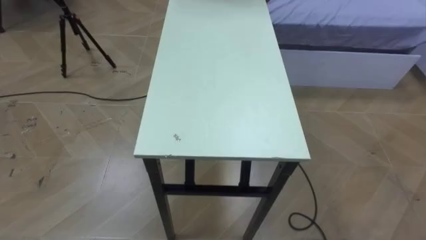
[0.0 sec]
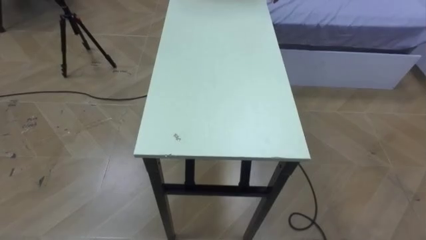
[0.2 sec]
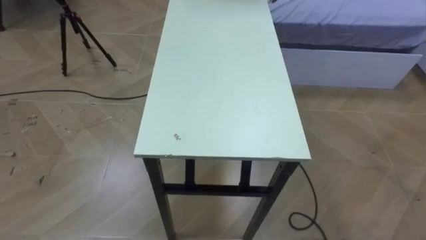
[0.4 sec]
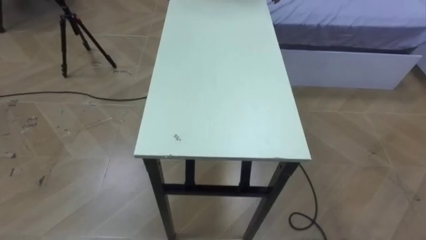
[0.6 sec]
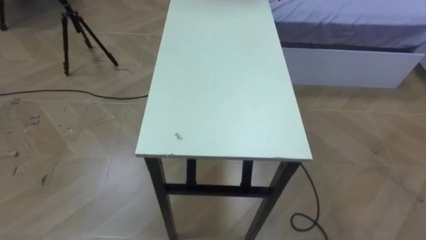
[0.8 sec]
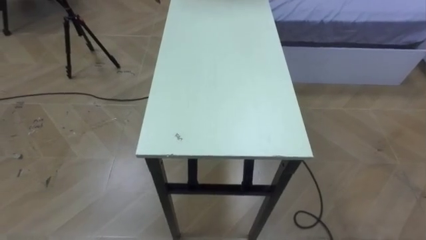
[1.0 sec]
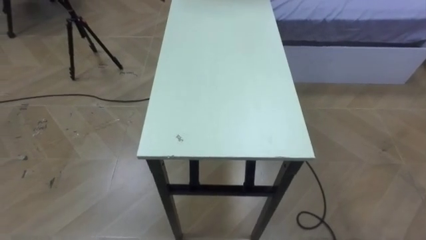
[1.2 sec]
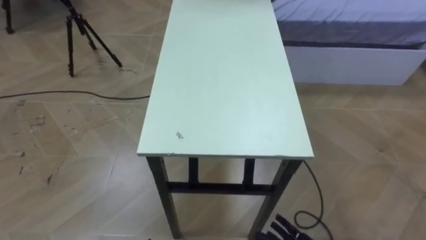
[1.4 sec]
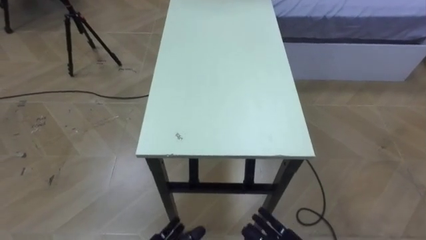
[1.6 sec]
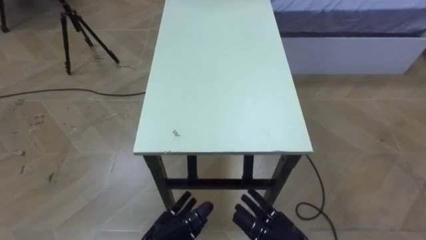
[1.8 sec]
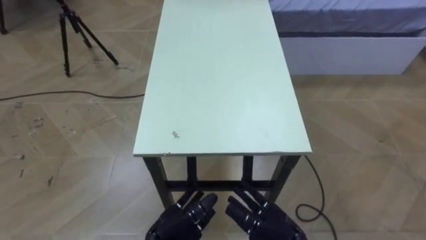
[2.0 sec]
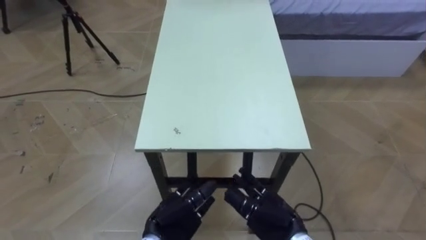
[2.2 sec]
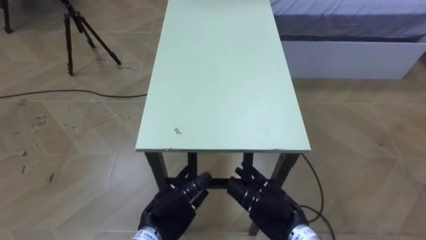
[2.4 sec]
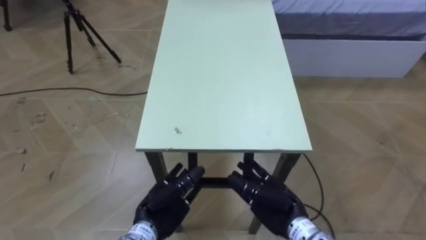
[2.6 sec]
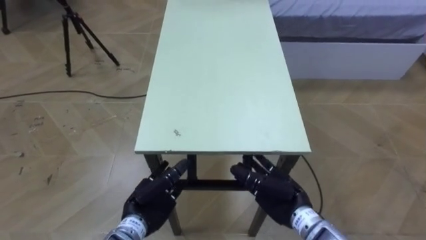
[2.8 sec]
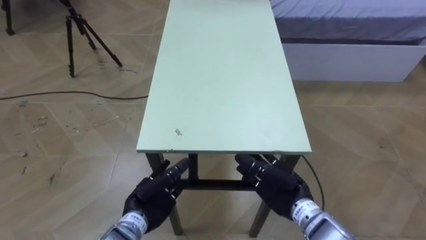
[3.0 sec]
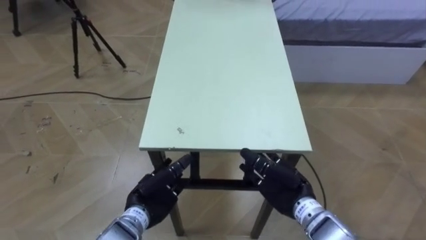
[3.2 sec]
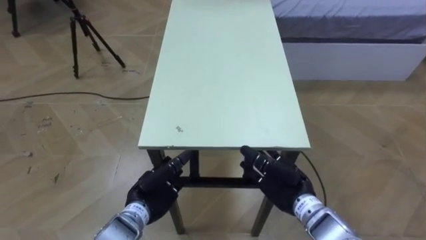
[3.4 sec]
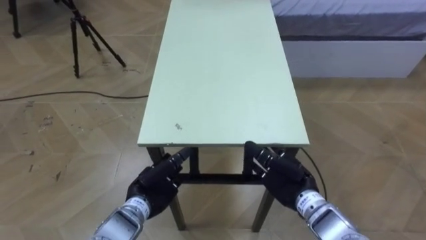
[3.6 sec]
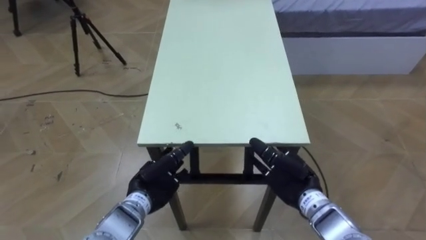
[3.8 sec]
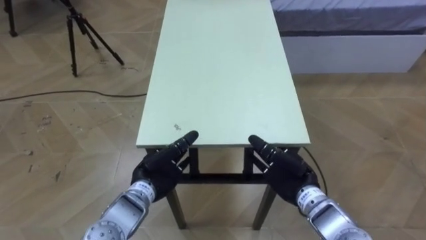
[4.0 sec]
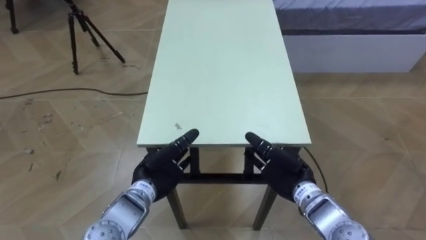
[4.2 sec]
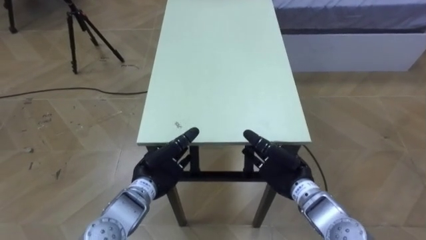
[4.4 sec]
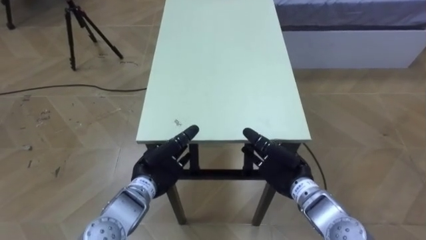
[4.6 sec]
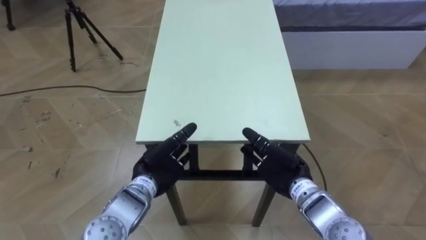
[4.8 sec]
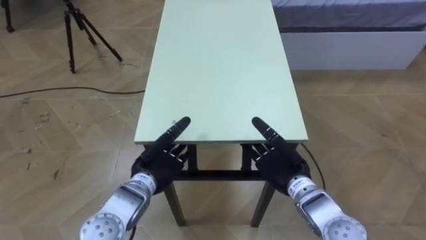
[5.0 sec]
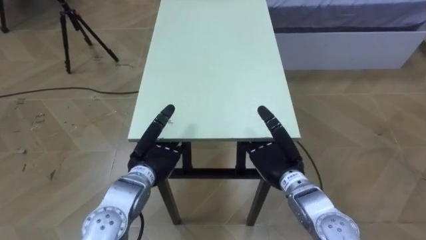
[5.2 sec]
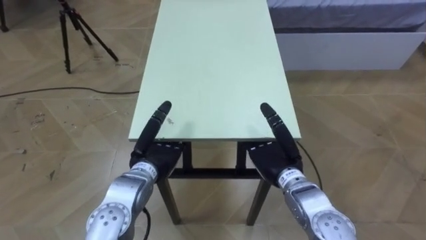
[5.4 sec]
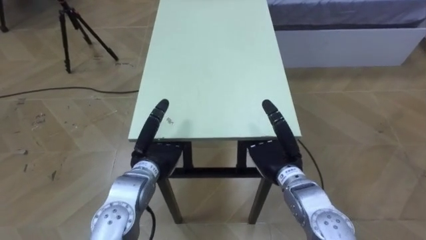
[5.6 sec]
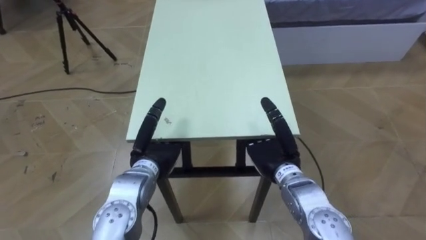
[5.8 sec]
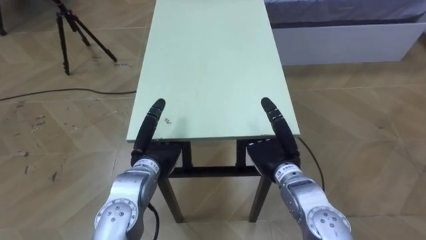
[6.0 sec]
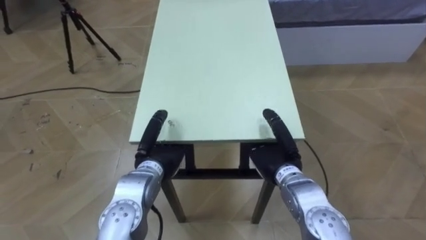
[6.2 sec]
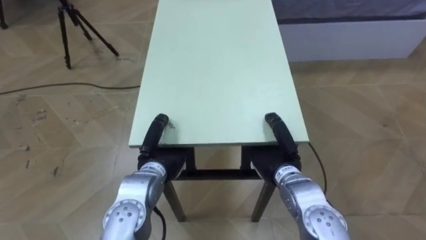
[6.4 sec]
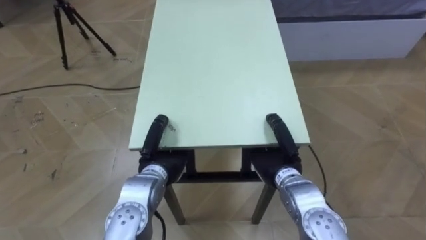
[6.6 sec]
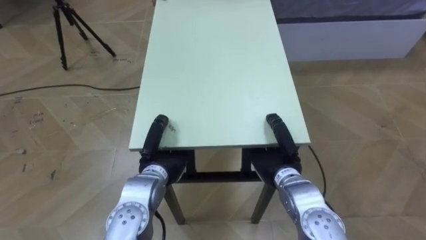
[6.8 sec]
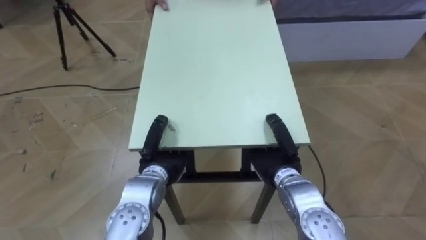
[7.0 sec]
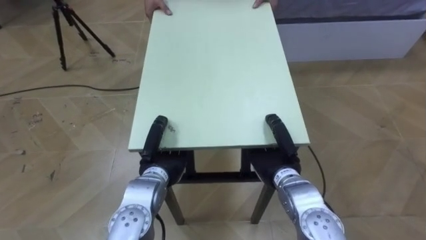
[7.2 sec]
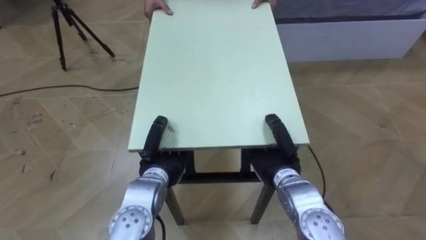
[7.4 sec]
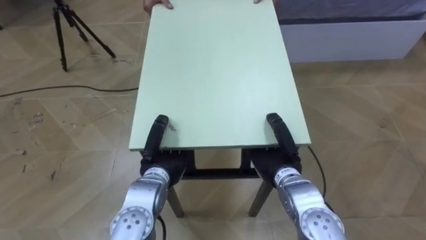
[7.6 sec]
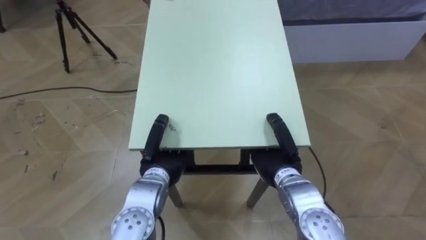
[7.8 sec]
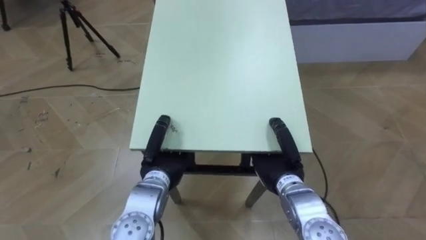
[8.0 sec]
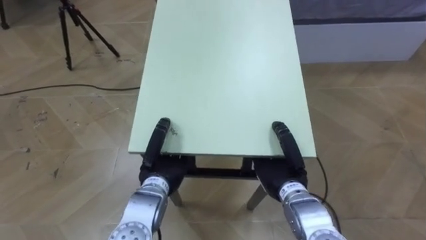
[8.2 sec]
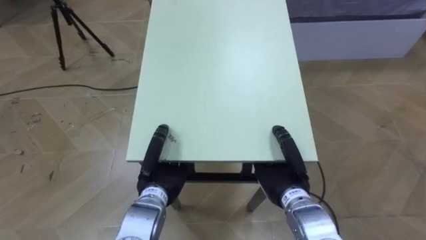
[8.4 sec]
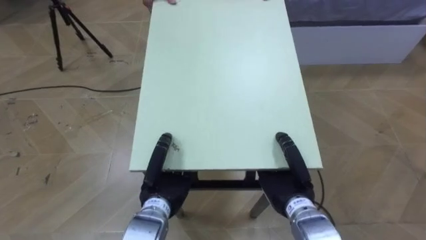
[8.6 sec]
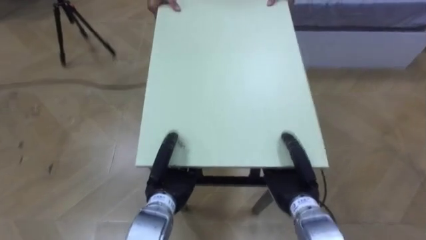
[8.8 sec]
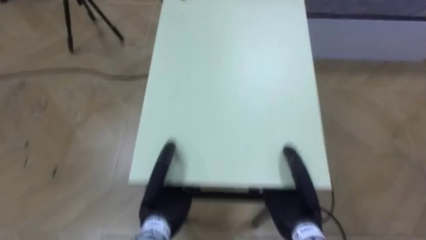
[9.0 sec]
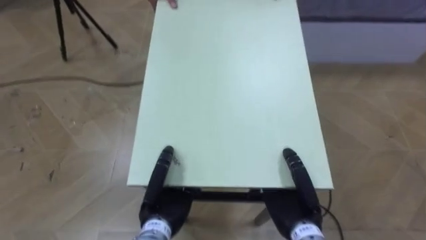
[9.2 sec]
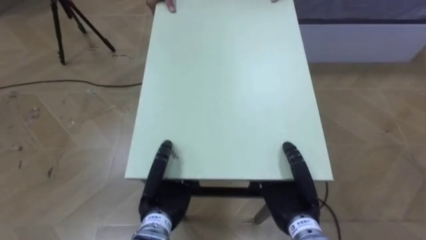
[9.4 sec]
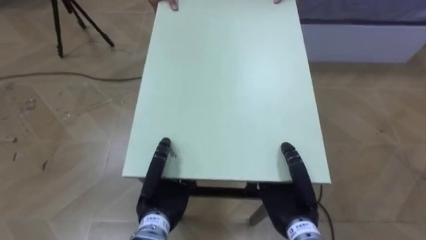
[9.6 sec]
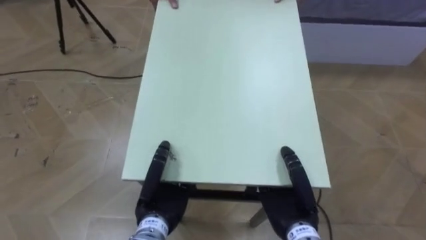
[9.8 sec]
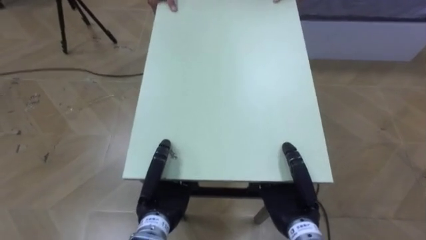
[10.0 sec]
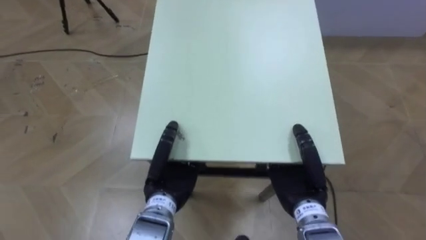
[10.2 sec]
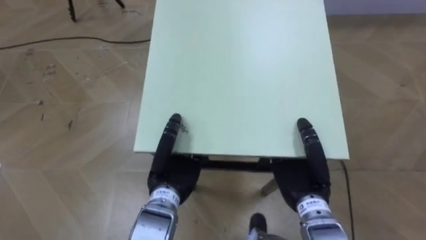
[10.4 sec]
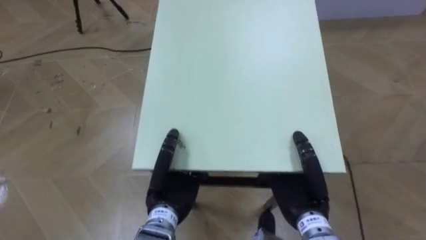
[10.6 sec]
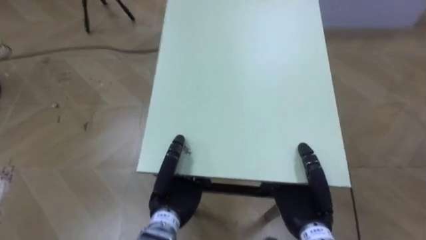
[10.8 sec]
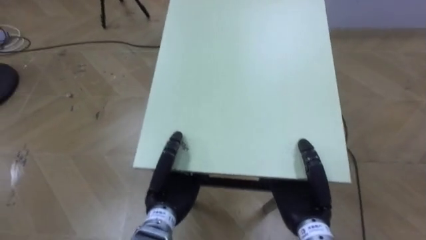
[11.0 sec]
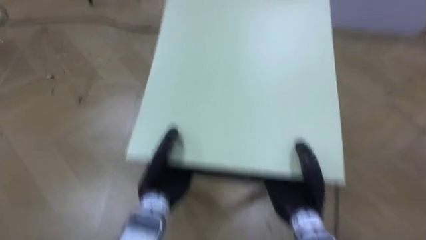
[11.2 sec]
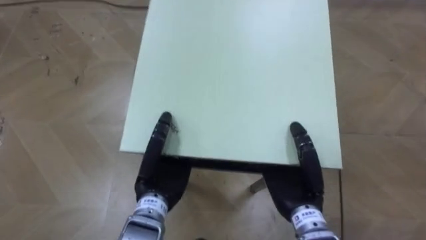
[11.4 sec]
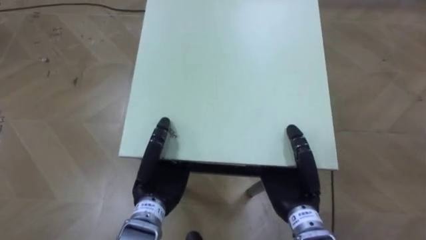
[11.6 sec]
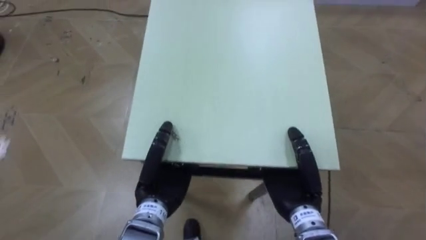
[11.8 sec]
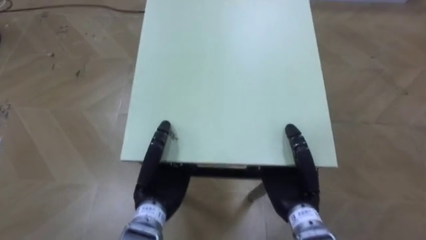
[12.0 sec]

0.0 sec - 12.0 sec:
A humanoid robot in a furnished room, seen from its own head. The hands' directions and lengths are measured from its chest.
Task of the whole recording: Move the table to the back left with someone.
3.0 sec - 4.4 sec: The left hand travels forward by about 5 cm.
6.0 sec - 7.6 sec: The right hand closes its fingers, while the left hand closes up.
7.6 sec - 9.0 sec: The hands both shift backward by some 5 cm.
9.0 sec - 10.4 sec: The right hand ends up some 5 cm from where it was; the left hand shifts by some 5 cm.

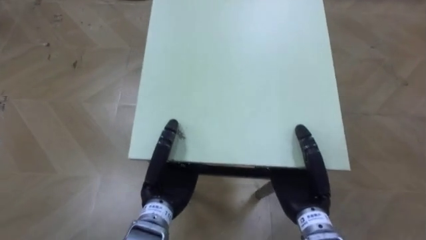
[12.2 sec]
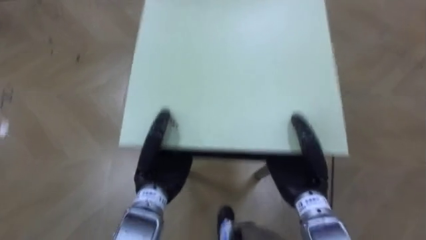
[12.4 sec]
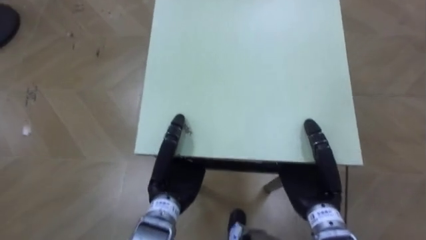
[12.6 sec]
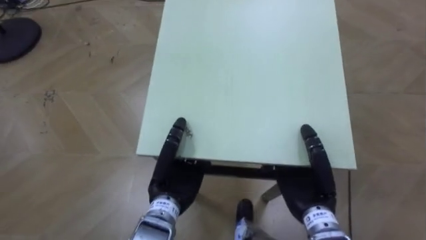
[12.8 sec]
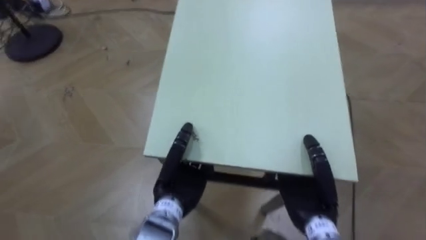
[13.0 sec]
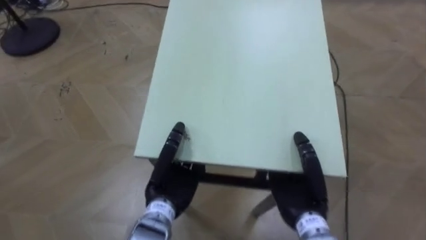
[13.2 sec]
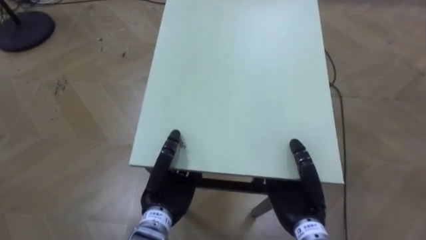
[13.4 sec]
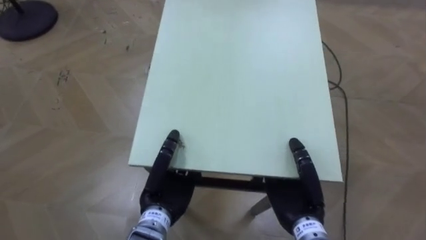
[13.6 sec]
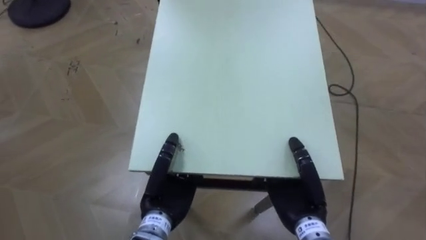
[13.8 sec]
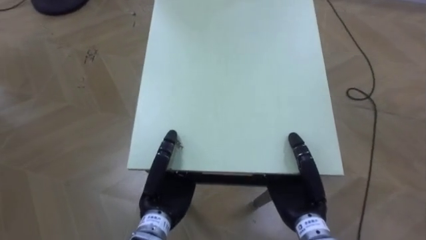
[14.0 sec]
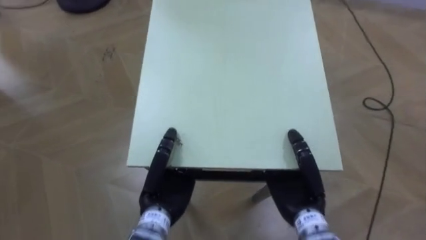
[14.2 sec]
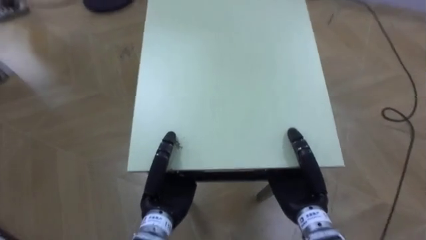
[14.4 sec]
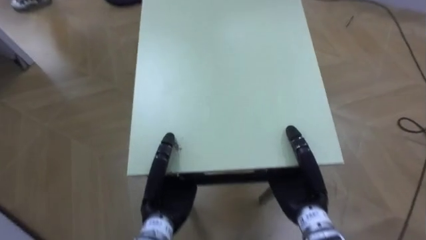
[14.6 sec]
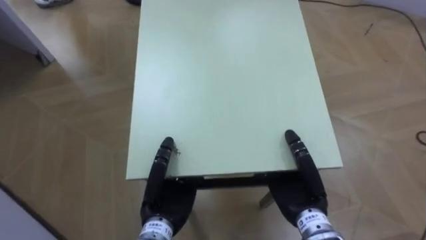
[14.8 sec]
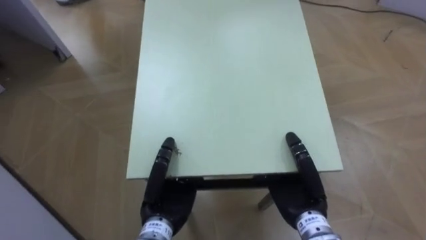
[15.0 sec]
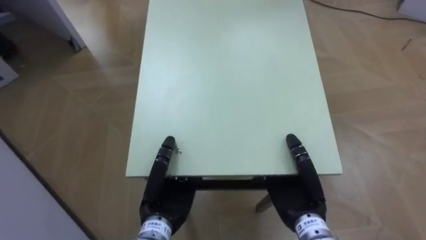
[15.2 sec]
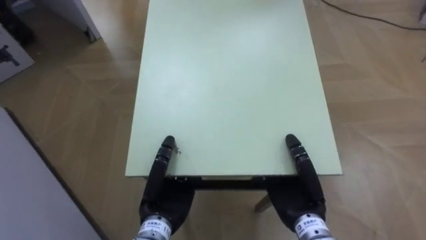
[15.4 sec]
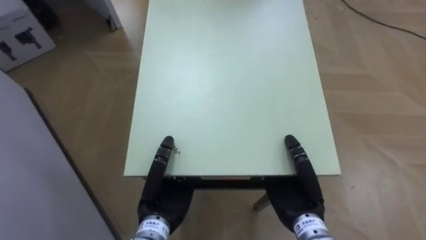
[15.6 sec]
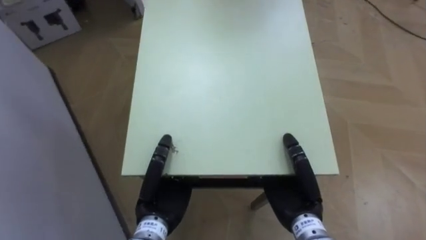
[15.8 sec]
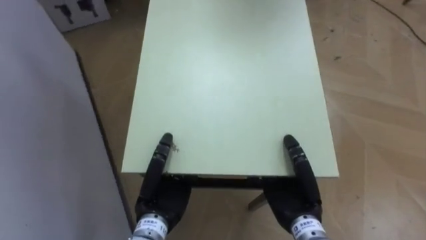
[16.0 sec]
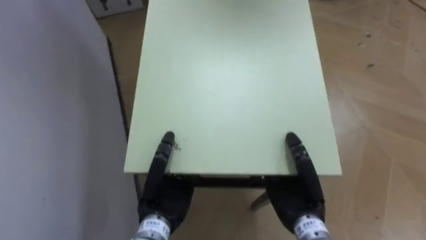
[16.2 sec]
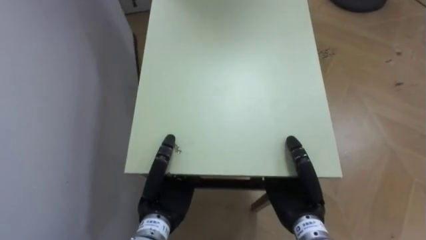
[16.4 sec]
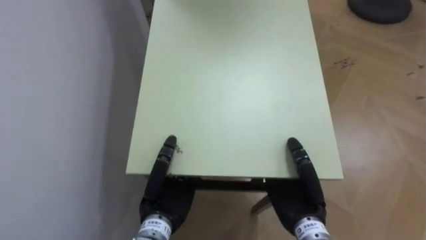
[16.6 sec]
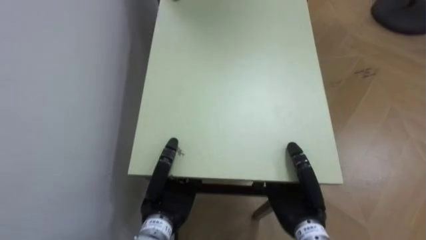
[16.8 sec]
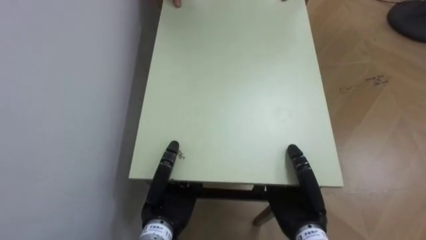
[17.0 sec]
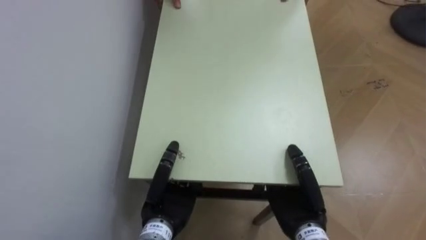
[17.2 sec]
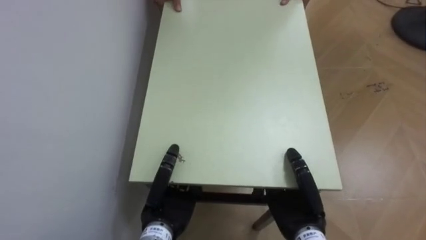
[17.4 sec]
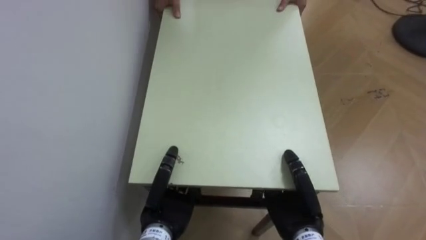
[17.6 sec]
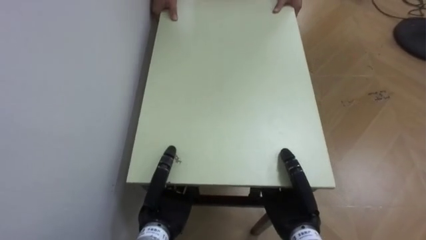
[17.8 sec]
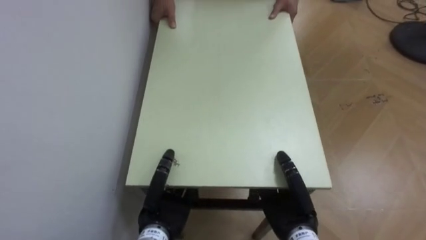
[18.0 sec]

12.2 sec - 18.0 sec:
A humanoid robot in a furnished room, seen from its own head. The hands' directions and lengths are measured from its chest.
Task of the whole recording: Move the table to the back left with someone.
13.6 sec - 15.0 sec: The robot's body swings some 30 degrees to its left.
15.0 sec - 16.6 sec: The robot rotates about 45 degrees to its left.
